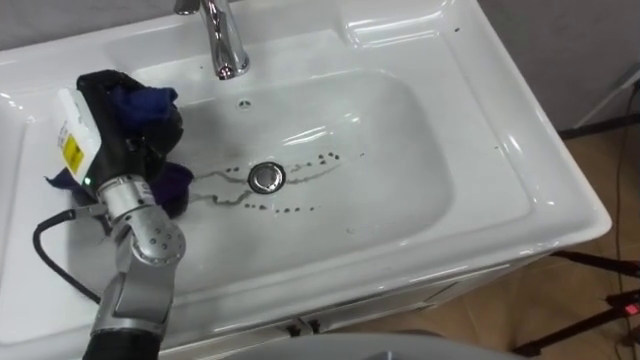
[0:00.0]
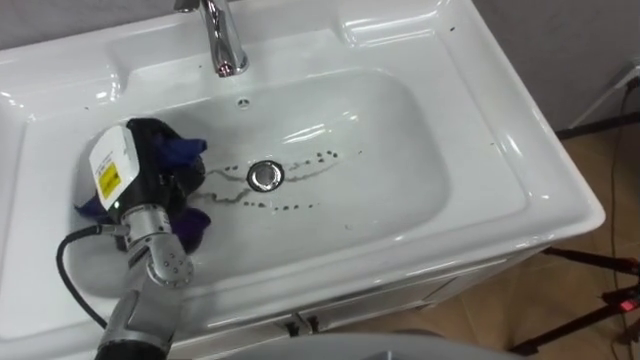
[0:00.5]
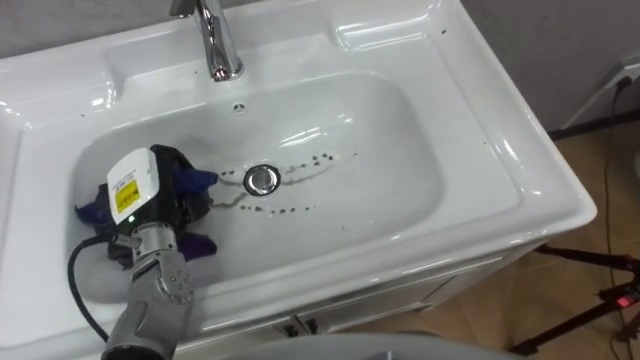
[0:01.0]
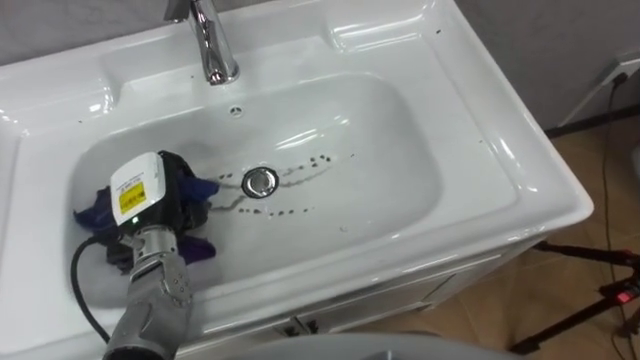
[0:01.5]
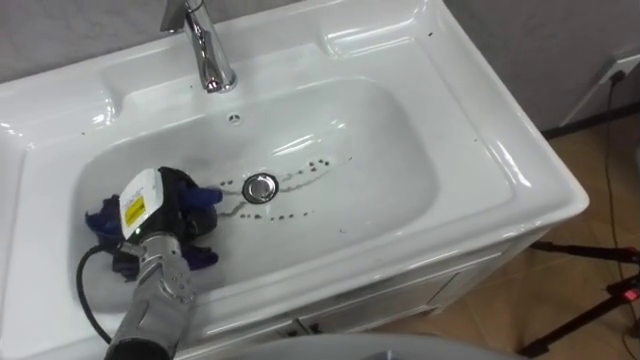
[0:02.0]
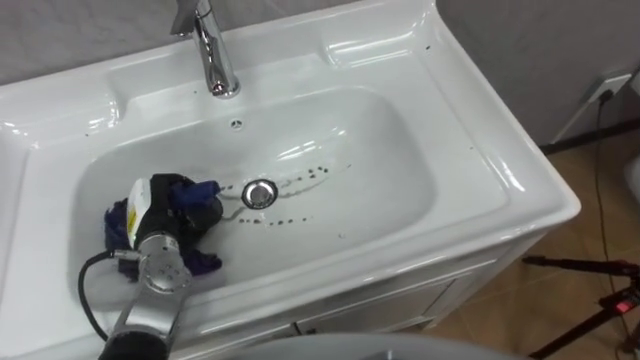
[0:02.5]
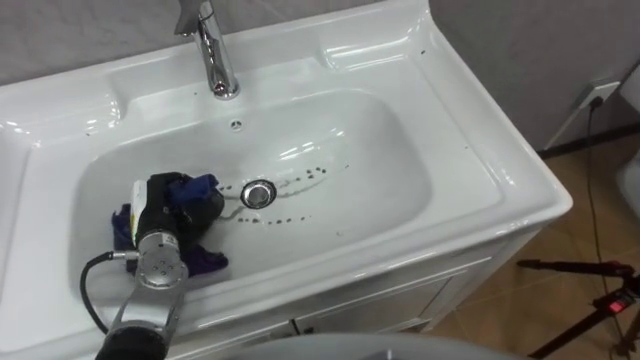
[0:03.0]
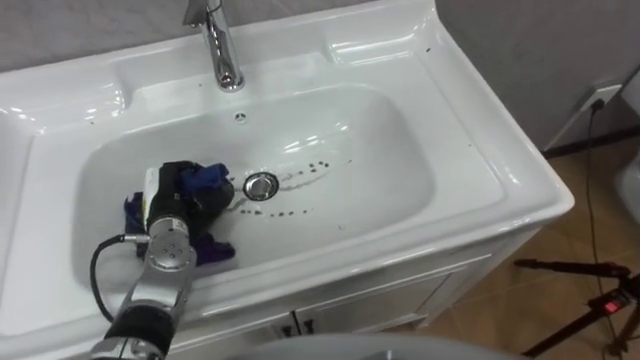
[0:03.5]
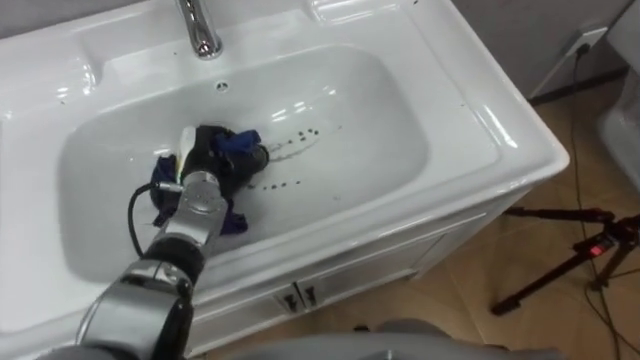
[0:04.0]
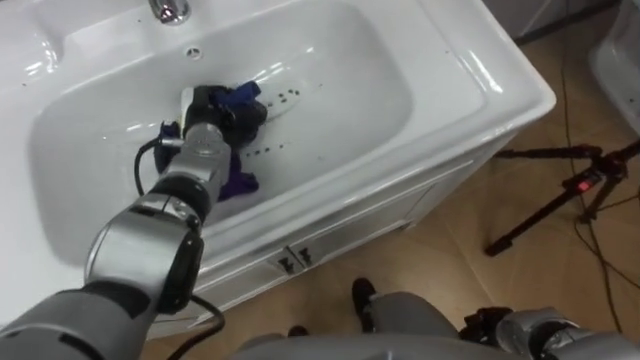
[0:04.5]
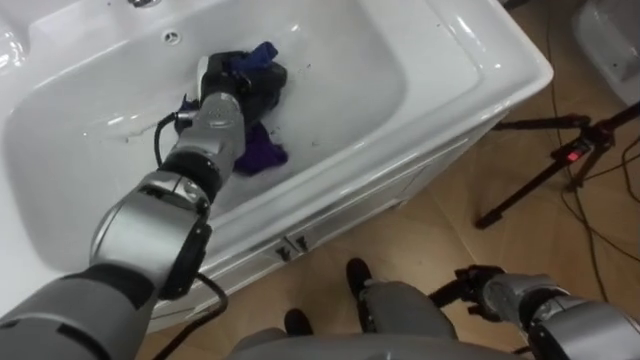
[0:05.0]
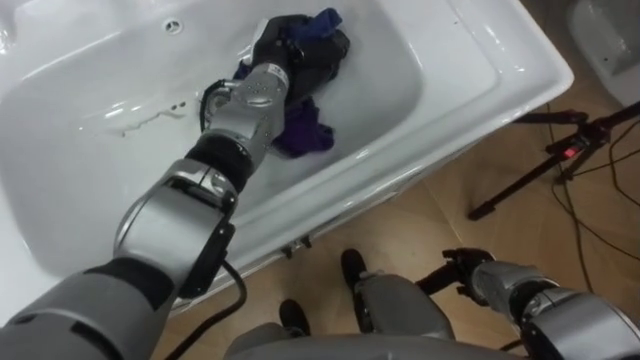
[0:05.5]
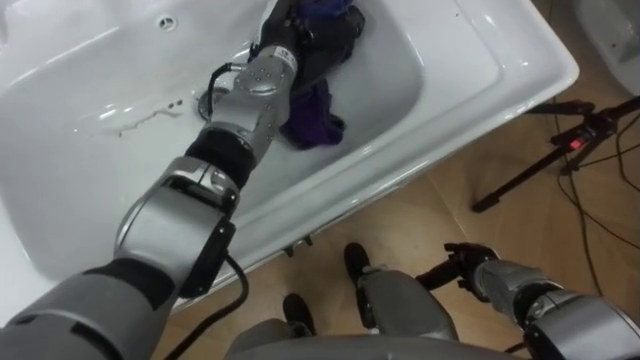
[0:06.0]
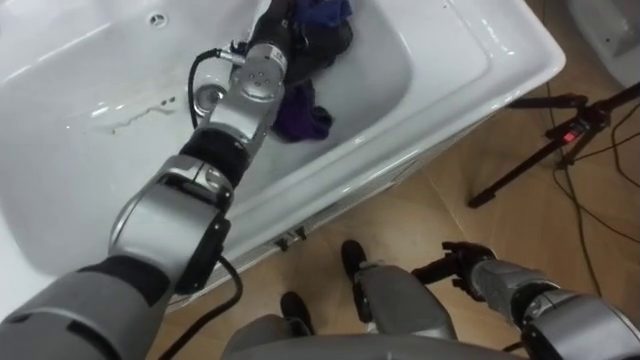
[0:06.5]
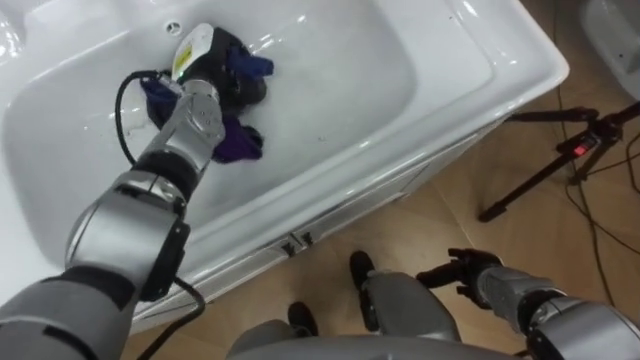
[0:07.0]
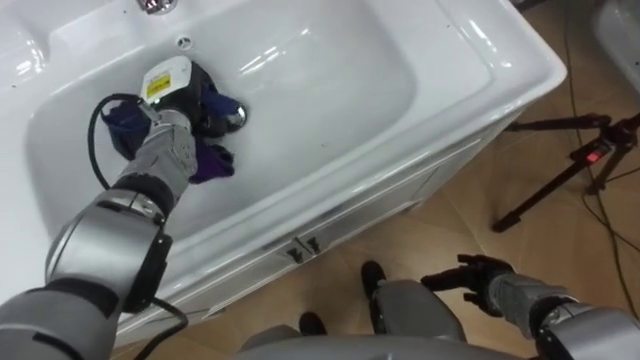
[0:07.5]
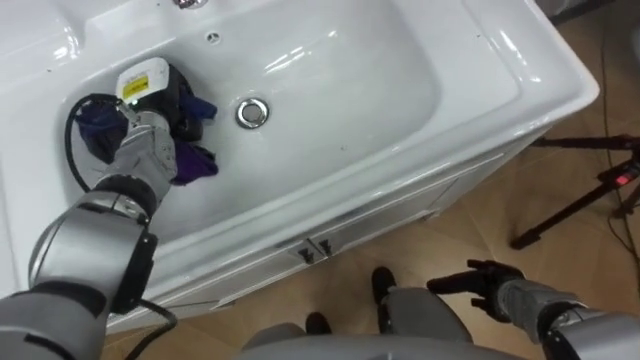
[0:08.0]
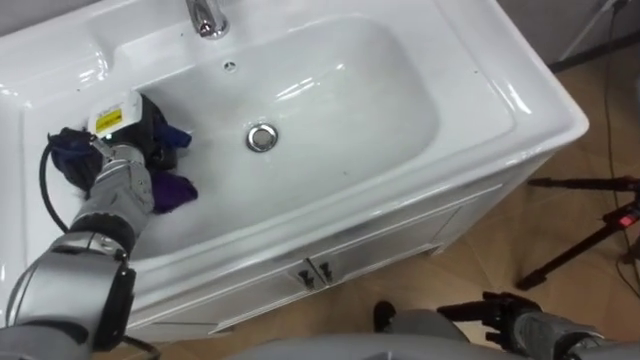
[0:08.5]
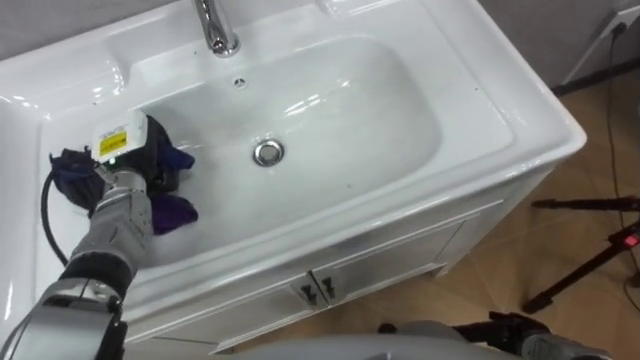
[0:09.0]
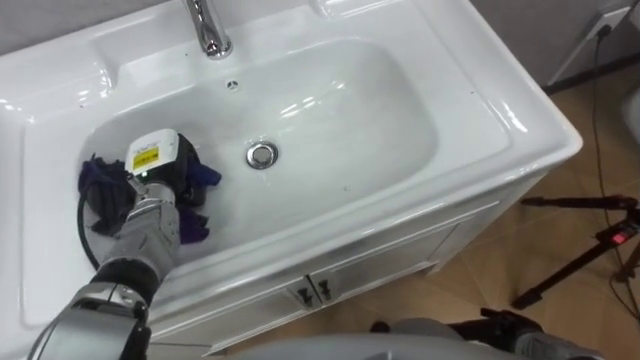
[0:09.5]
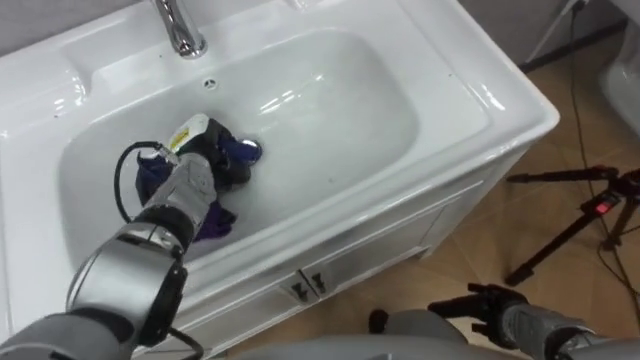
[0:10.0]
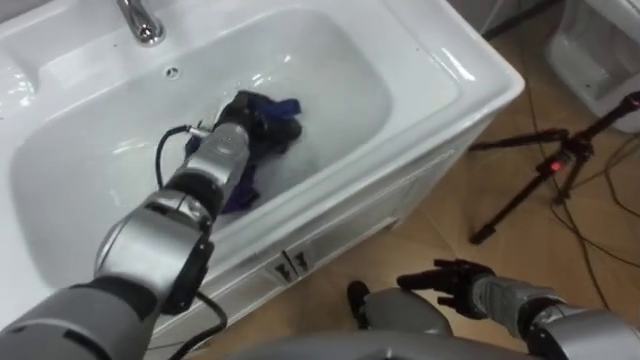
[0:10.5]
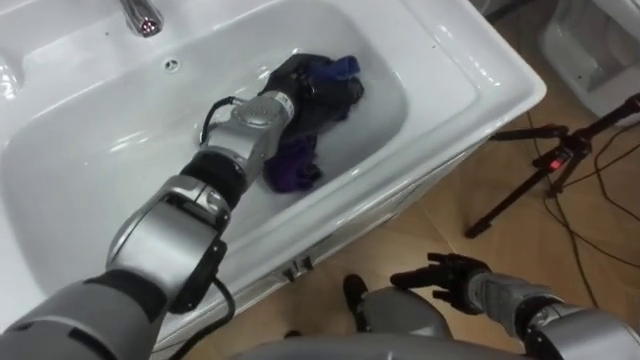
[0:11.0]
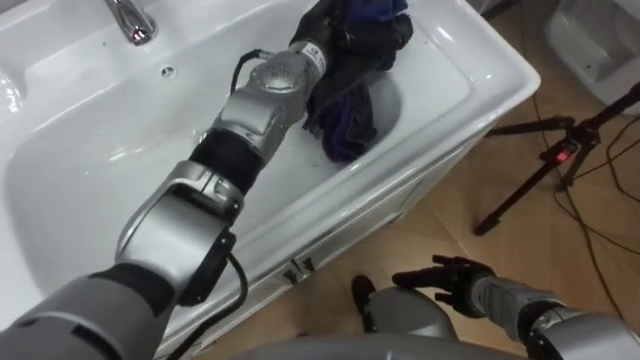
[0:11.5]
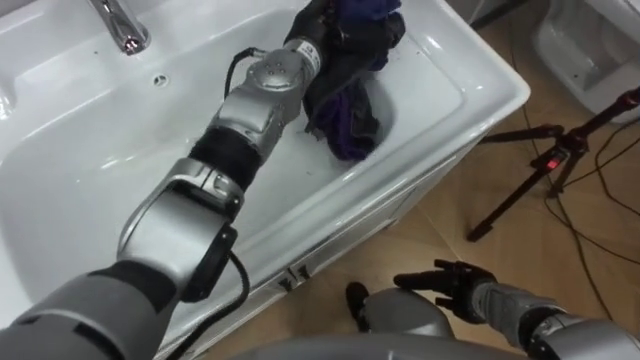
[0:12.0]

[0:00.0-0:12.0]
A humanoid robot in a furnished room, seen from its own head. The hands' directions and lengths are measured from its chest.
Task of the whole recording: Use the cloth on the right to wipe away the black stain in the sink.
0:00.0 to 0:02.0: The left hand goes some 15 cm downward.
0:02.0 to 0:04.0: The left hand shifts roughly 10 cm forward and to the right.
0:04.0 to 0:06.0: The left hand moves upward, to the right and forward, roughly 25 cm.
0:06.0 to 0:08.0: The left hand goes roughly 20 cm to the left.
0:08.0 to 0:10.0: The left hand goes some 10 cm downward and to the right.
0:10.0 to 0:12.0: The right hand shifts by approximately 5 cm; the left hand heads to the right, upward and forward, covering roughly 25 cm.

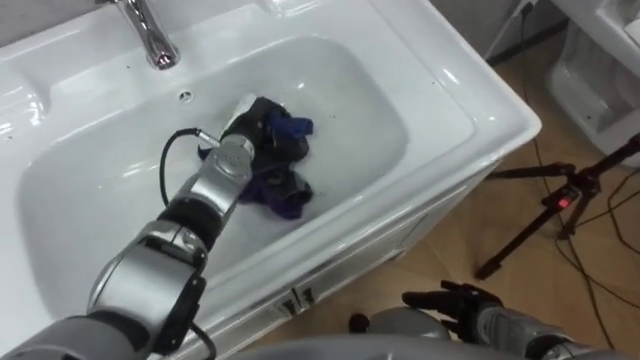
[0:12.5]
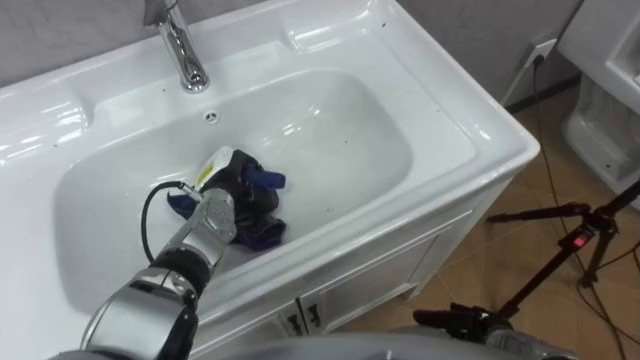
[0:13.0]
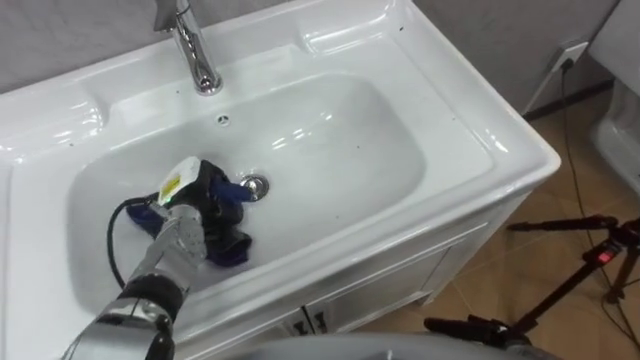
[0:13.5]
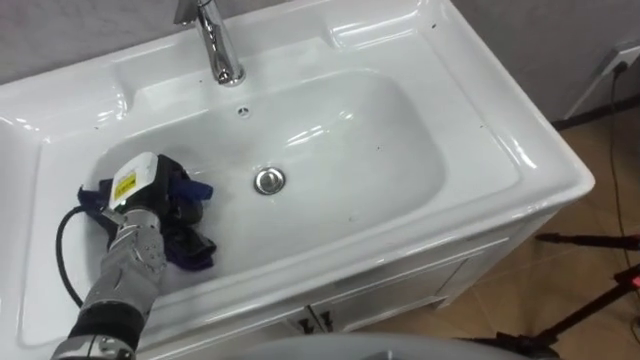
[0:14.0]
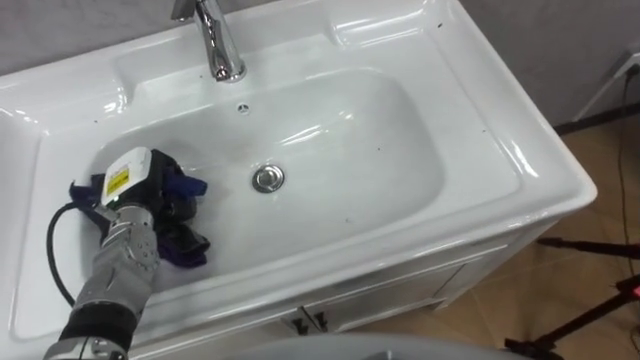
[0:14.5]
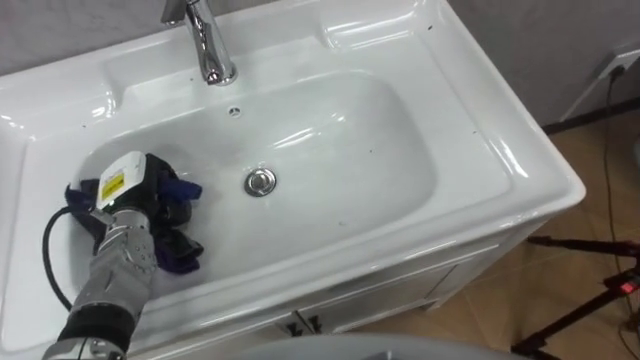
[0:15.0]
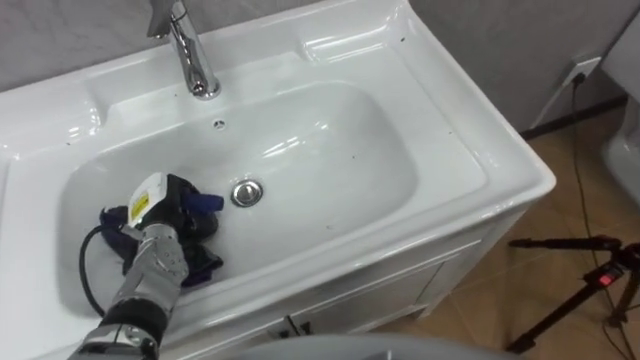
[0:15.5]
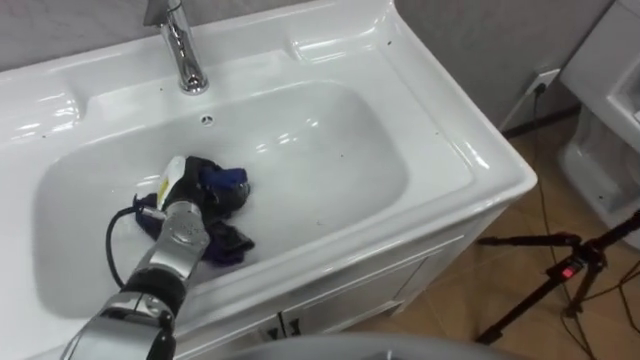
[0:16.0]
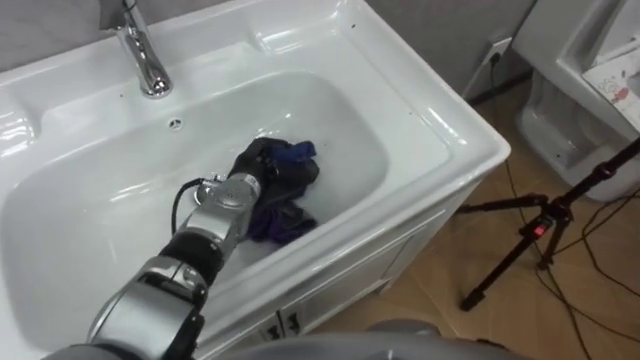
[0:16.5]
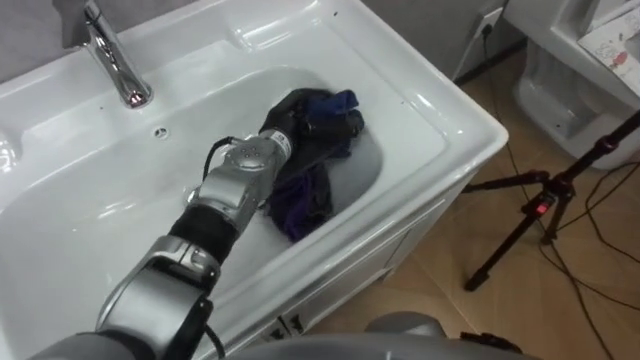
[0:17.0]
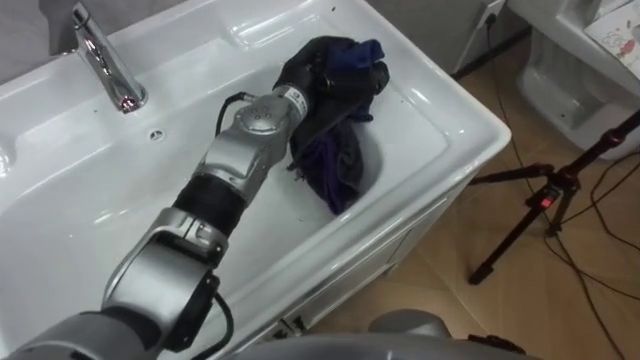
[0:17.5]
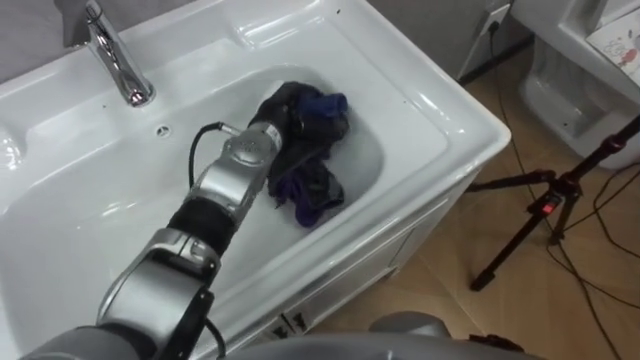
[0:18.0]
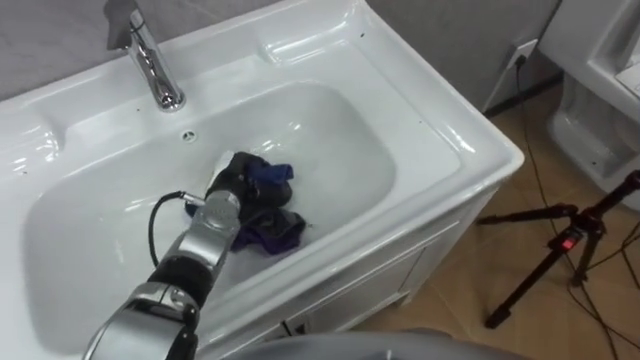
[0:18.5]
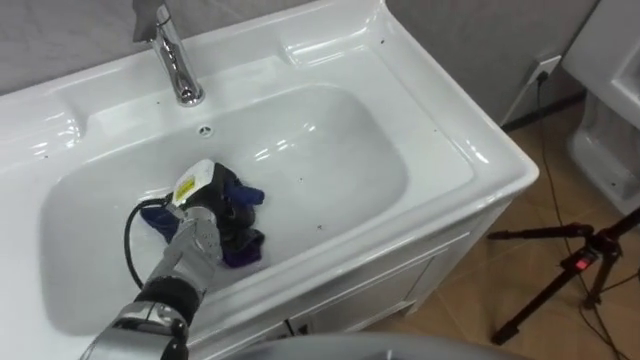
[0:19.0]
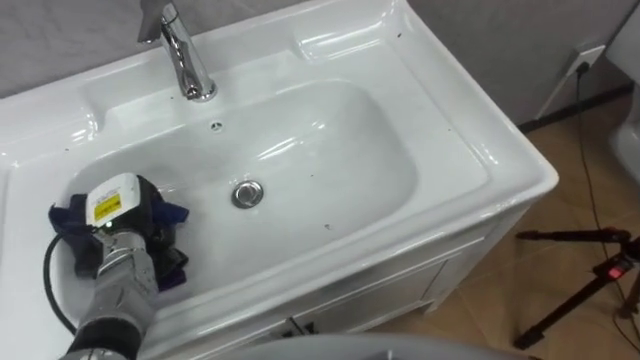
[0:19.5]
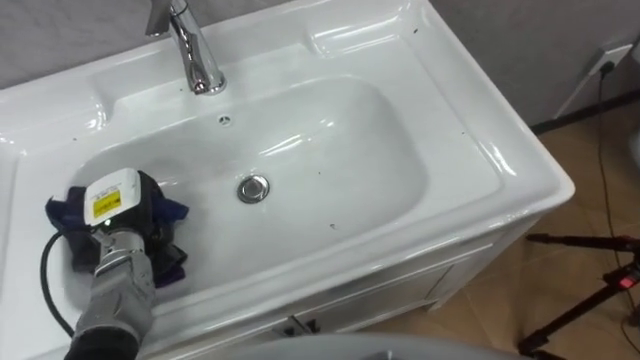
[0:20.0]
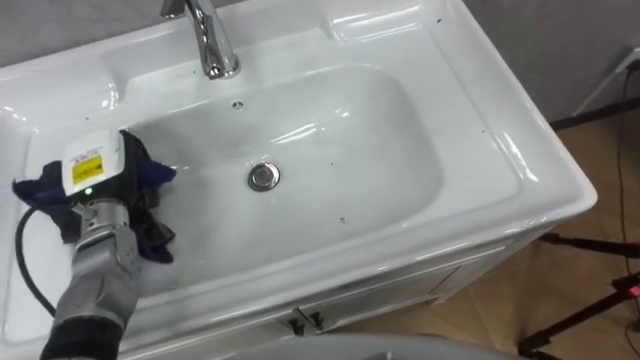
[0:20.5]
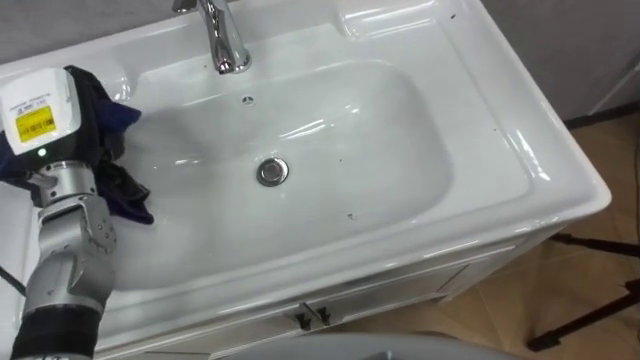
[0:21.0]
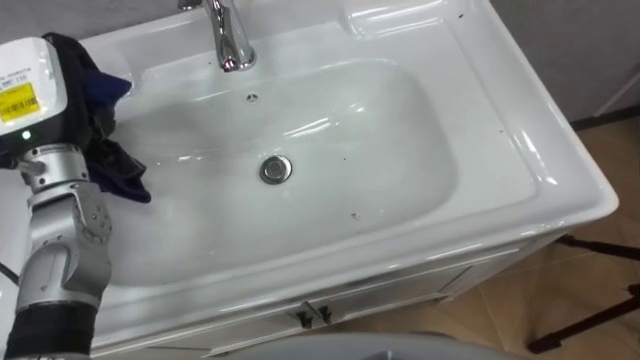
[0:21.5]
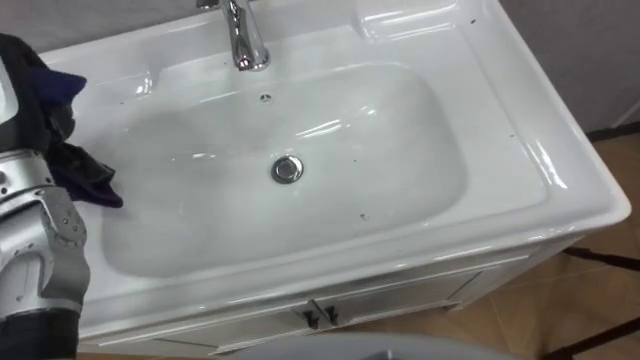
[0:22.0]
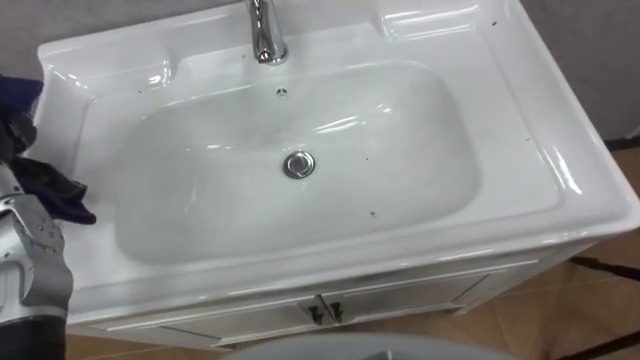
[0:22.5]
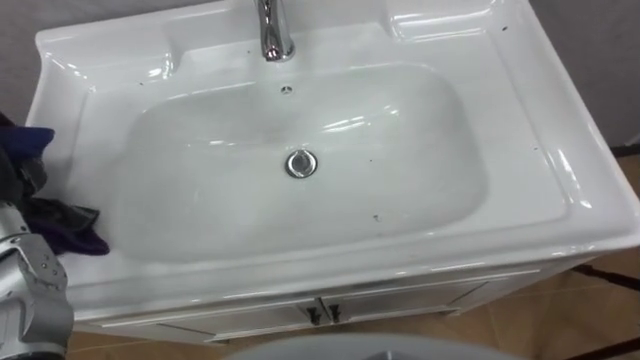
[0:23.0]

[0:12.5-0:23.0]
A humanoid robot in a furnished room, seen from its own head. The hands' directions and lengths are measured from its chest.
Task of the whole recording: Use the cloth on the right to wipe away the black stain in the sink.
0:12.5 to 0:14.5: The left hand moves to the left and backward, some 20 cm.
0:14.5 to 0:16.5: The left hand heads to the right, covering about 15 cm.
0:16.5 to 0:19.0: The left hand moves to the left, some 10 cm.
0:19.0 to 0:21.0: The left hand travels upward and to the left by approximately 20 cm.
